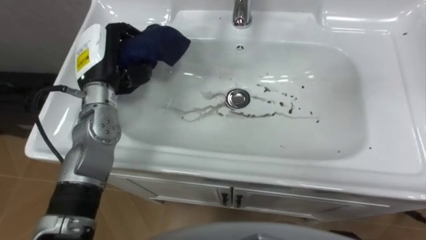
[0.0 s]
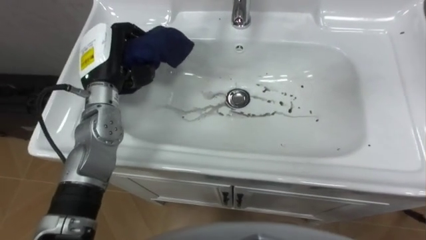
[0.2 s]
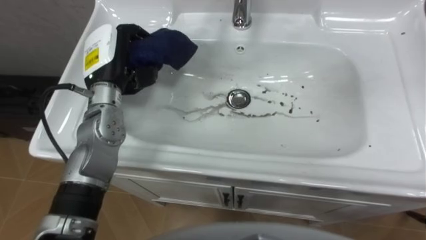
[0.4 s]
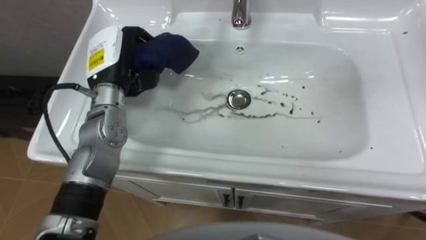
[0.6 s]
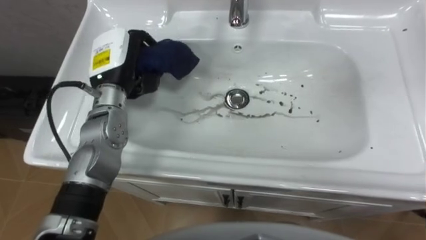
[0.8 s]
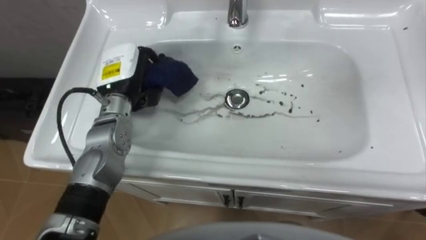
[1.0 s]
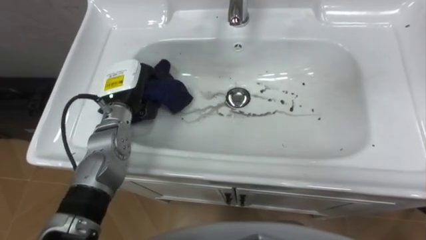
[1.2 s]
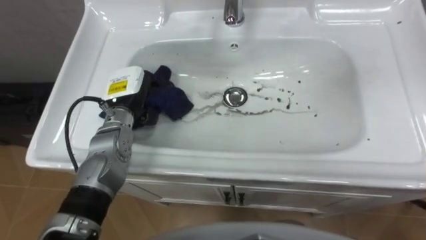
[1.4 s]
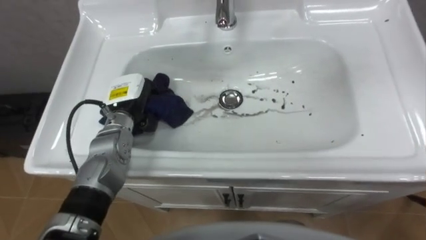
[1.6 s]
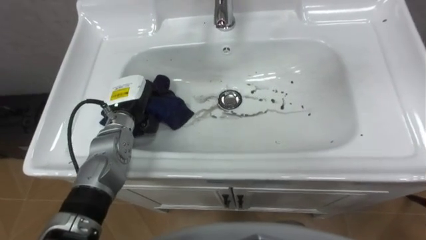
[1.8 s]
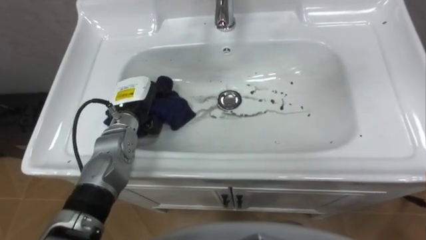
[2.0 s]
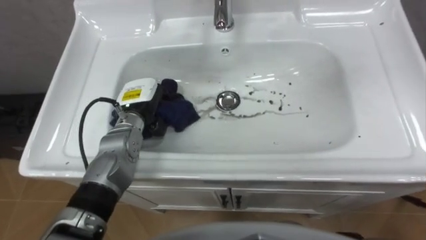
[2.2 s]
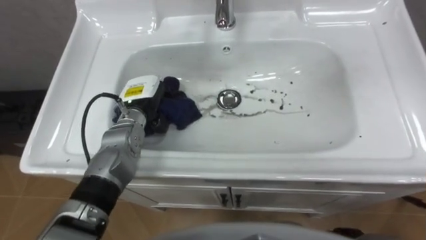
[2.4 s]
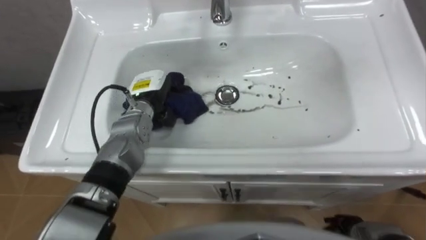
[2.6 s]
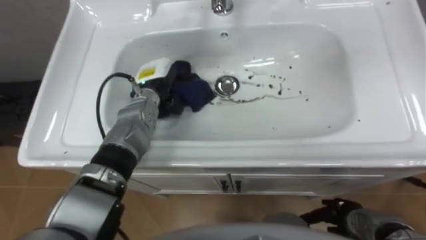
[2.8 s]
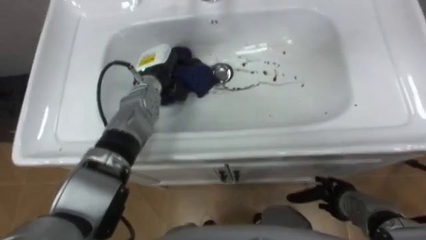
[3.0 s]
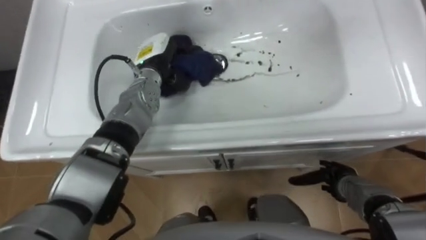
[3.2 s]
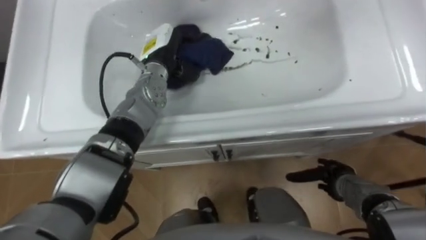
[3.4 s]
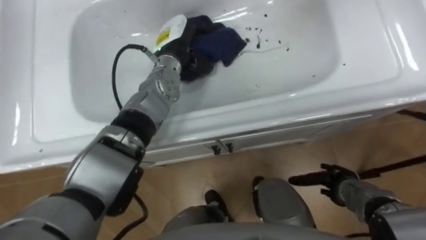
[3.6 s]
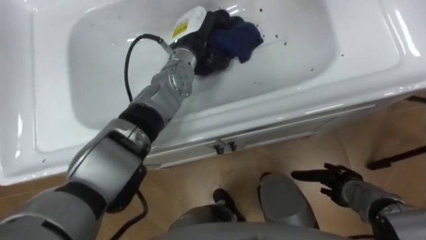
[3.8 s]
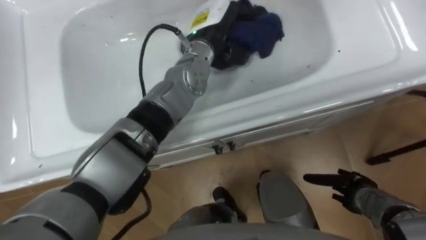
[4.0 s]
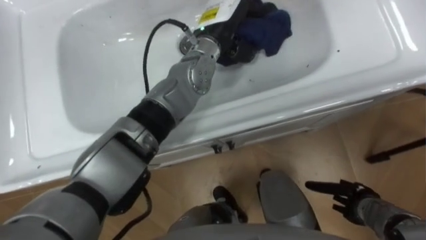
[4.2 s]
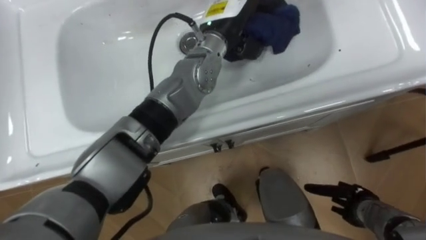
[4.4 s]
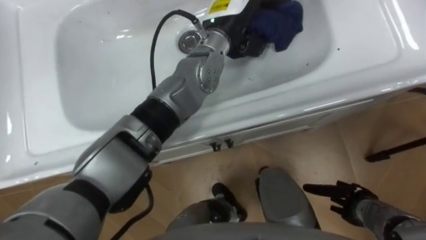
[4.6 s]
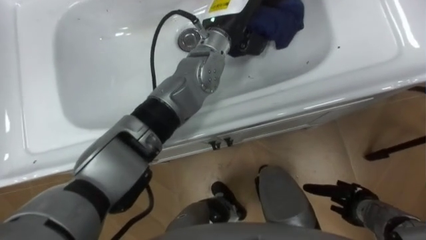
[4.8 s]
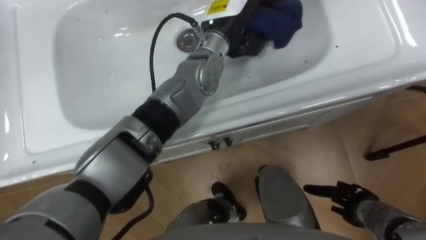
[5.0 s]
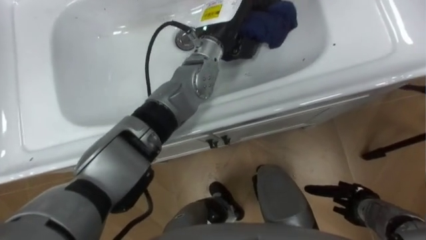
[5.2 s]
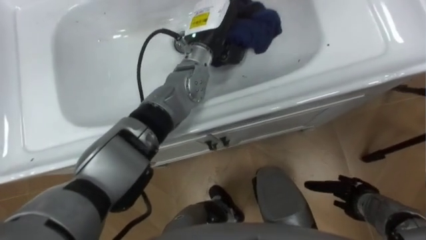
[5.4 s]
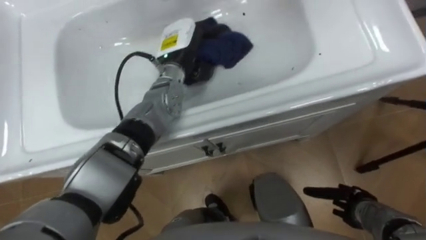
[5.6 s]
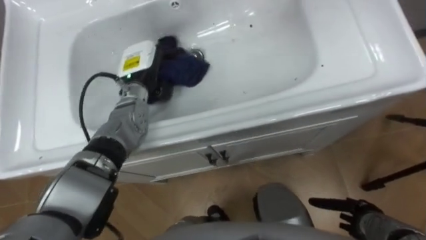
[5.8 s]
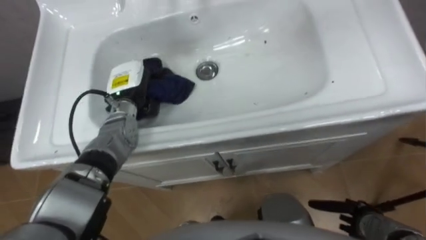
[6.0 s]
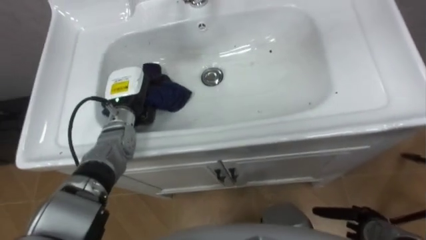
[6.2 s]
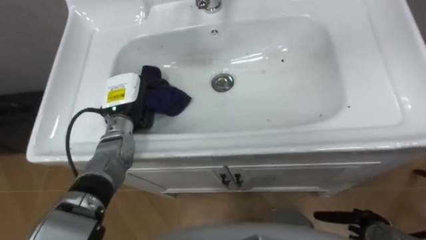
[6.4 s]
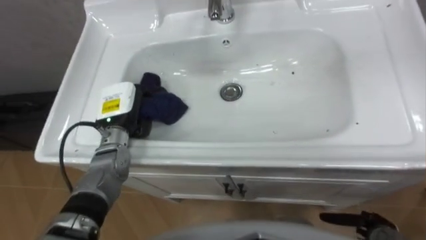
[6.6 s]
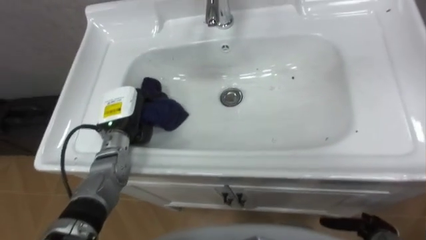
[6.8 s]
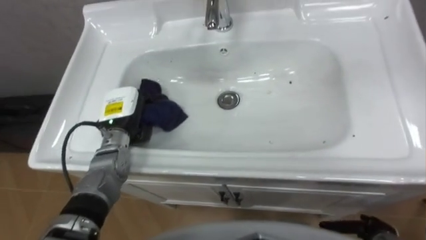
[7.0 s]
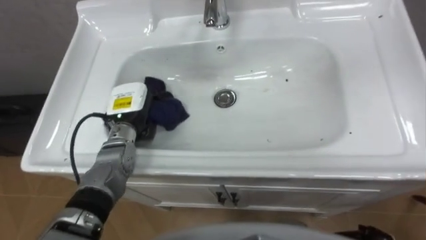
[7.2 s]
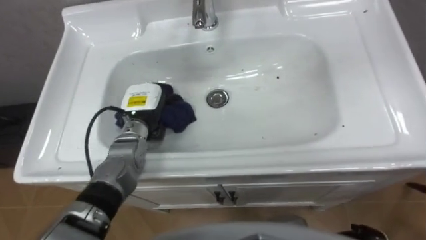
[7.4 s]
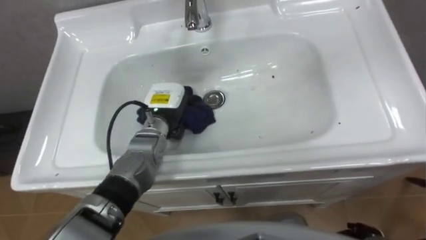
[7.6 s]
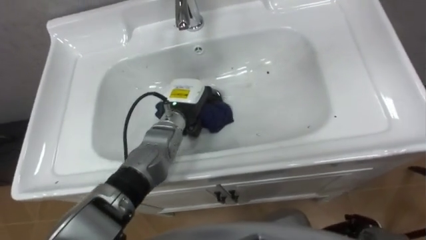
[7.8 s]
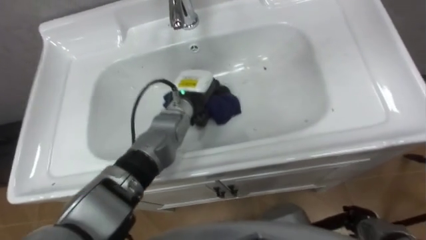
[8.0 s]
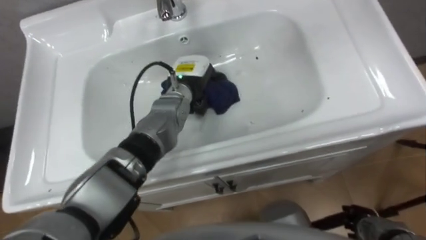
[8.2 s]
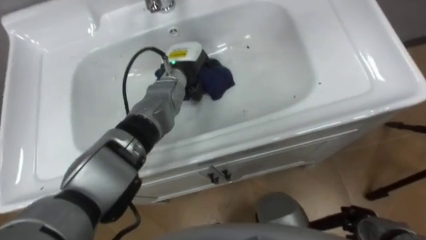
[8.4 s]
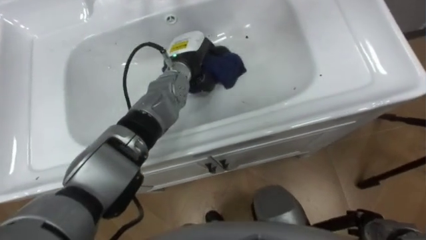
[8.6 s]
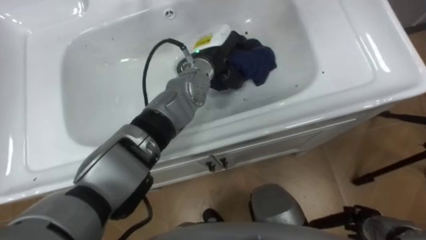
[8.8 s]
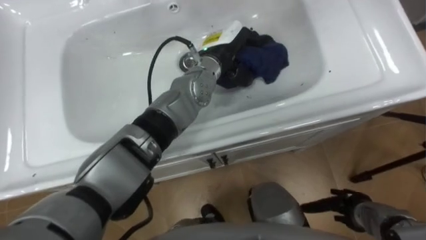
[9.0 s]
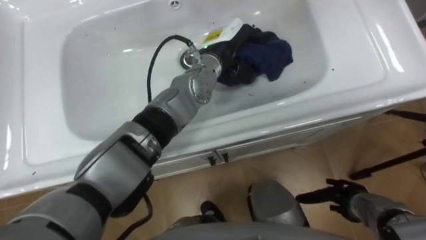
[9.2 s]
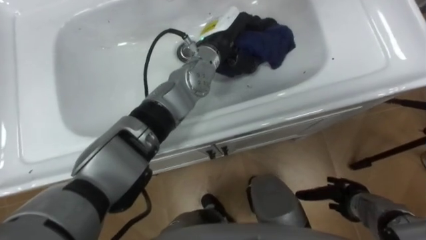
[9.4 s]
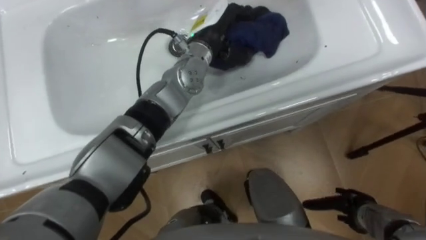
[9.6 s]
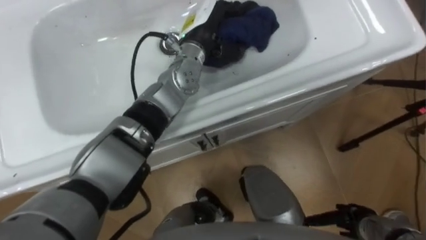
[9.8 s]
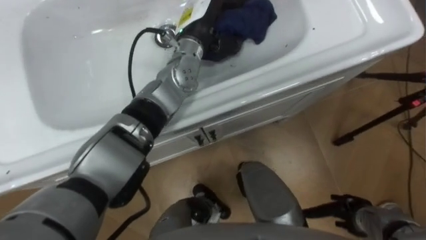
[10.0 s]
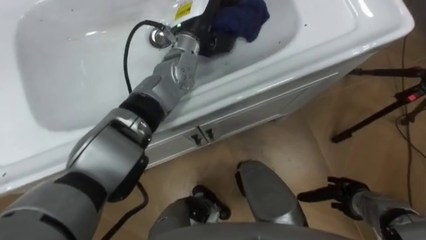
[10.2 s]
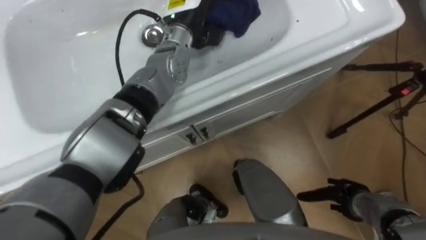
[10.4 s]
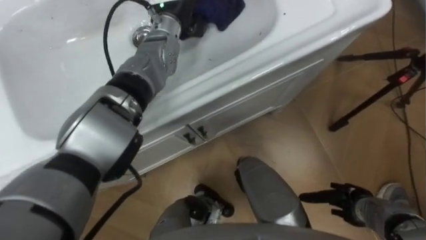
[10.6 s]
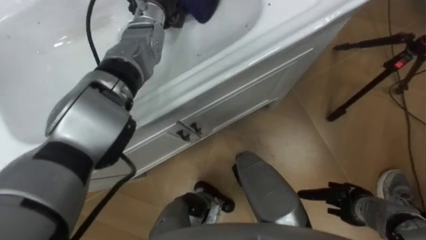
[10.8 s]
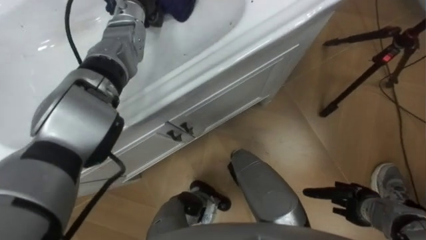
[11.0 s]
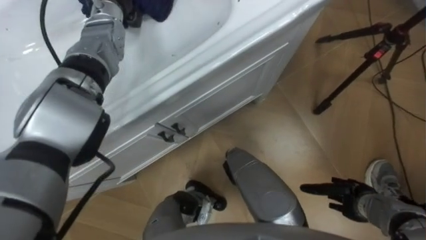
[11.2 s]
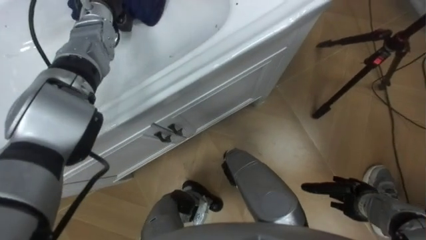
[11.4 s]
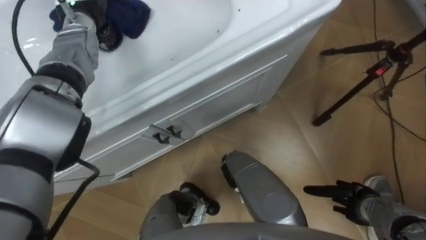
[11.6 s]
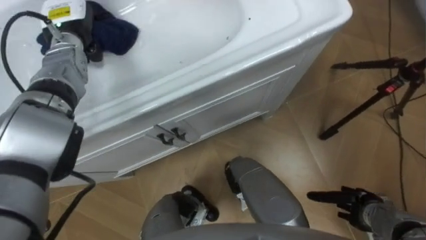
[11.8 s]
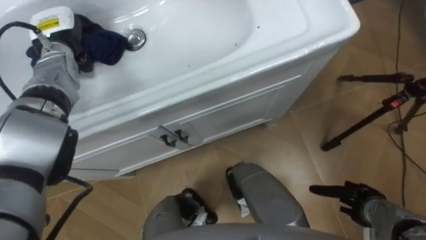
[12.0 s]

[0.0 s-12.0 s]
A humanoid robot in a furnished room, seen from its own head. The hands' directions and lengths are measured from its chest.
Task of the whole recording: Use the cloth on the right to wipe away the black stain in the sink.
0.0 to 1.6 s: The left hand heads downward, covering roughly 10 cm.
1.6 to 3.0 s: The left hand moves to the right and forward, approximately 10 cm.
3.0 to 4.4 s: The left hand heads to the right and upward, covering some 20 cm.
4.4 to 6.0 s: The left hand heads to the left and downward, covering about 25 cm.
6.0 to 7.6 s: The left hand is displaced to the right by some 5 cm.
7.6 to 9.0 s: The left hand is displaced to the right, upward and forward by some 20 cm.
9.0 to 10.4 s: The left hand travels to the left by roughly 5 cm.

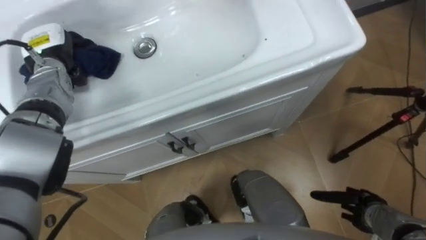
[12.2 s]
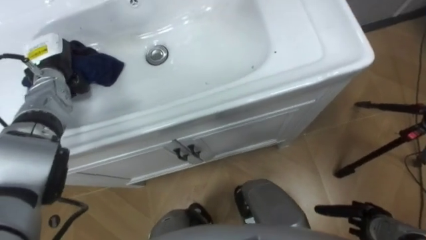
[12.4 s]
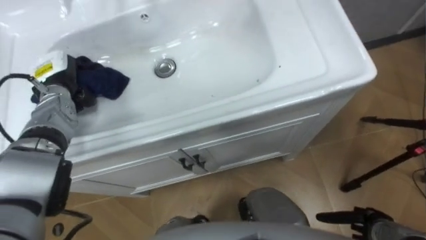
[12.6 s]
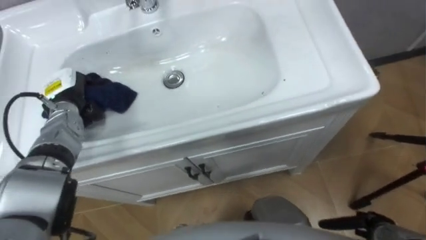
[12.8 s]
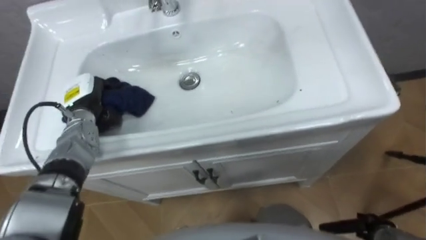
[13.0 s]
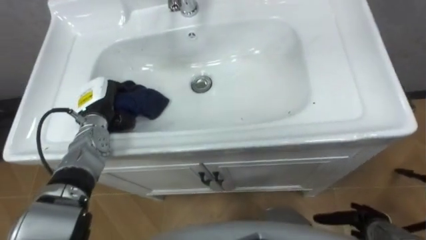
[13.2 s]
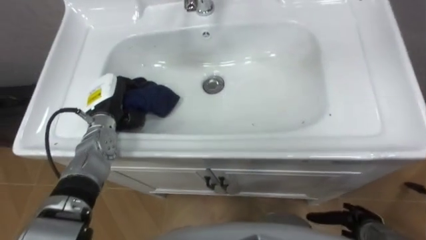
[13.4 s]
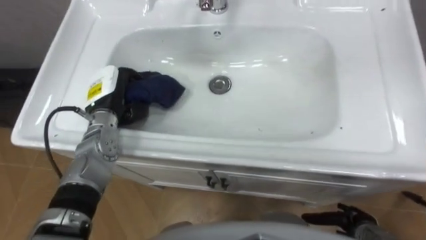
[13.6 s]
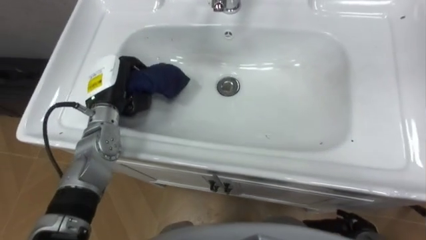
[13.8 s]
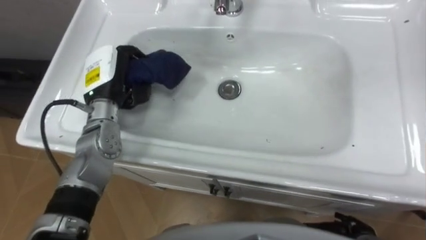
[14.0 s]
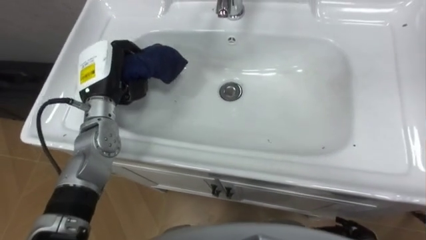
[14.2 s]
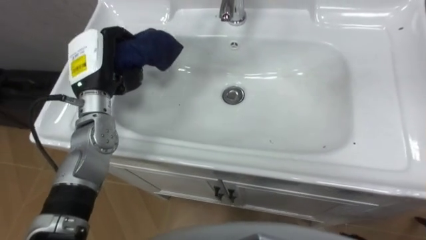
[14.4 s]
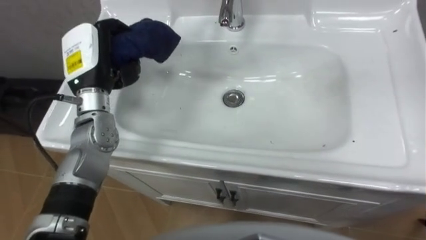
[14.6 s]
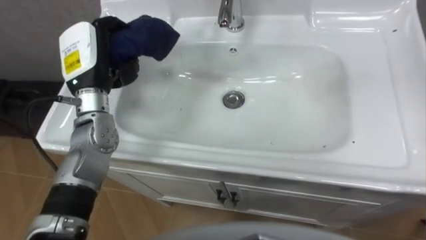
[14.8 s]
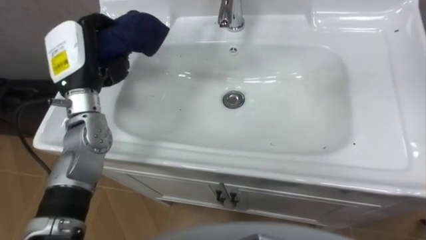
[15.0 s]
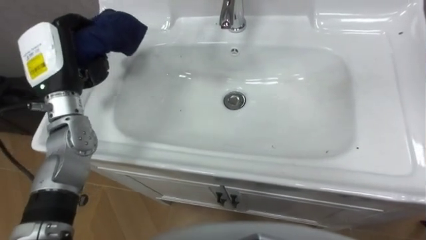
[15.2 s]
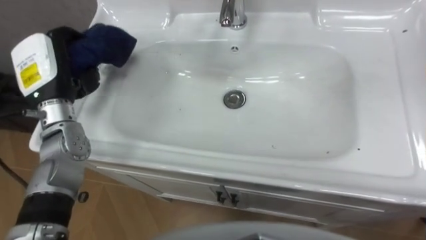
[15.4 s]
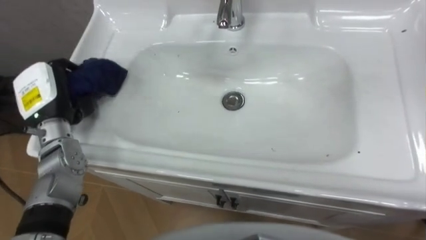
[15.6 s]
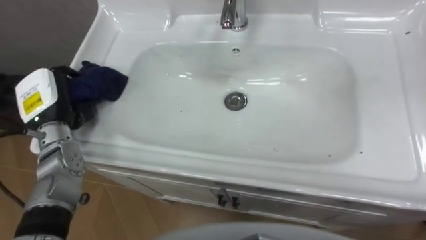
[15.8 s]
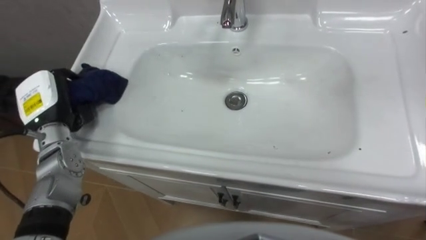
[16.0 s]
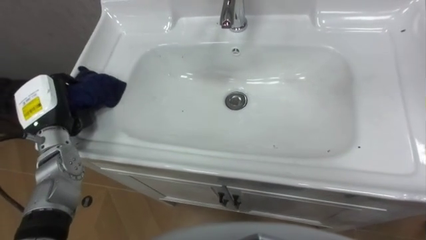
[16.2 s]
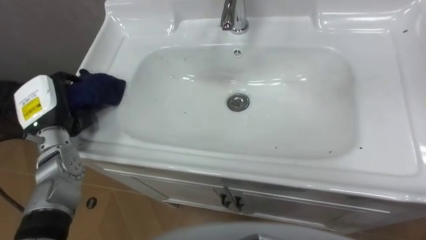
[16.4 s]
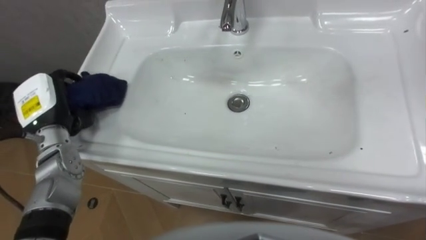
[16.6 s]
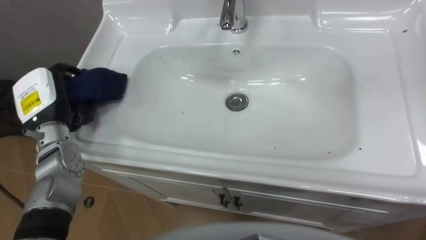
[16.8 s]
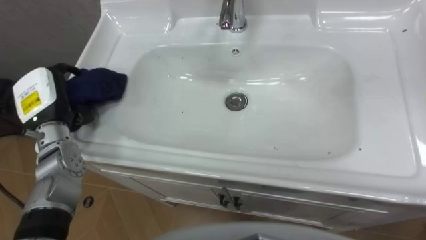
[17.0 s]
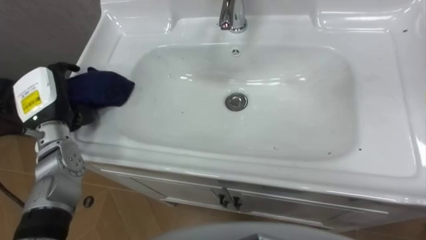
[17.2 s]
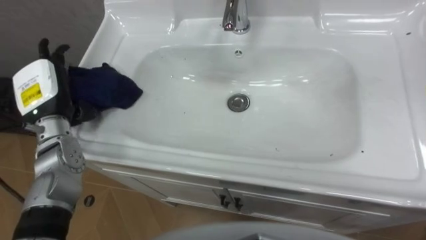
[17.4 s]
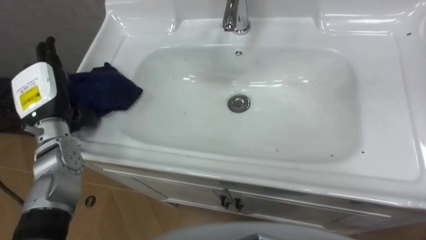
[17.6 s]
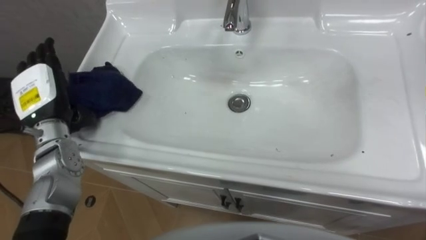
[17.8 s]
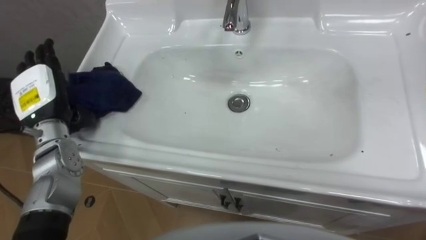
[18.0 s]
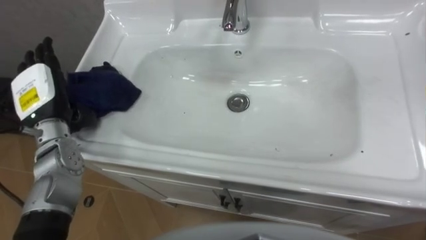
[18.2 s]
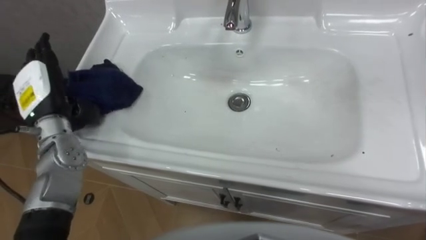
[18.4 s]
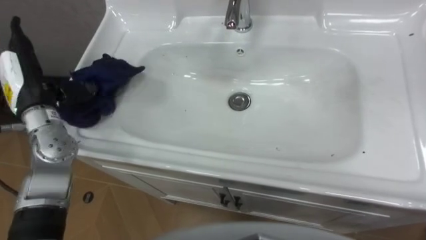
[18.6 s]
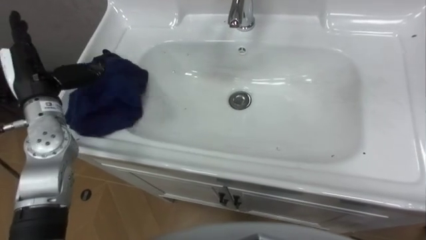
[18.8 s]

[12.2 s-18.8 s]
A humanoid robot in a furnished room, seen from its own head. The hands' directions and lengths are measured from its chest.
Task of the whole recording: Use the cloth on the right to wipe away the black stain in the sink.
12.2 to 13.8 s: The left hand travels to the right and backward by some 15 cm.
13.8 to 15.4 s: The left hand travels upward and to the left by roughly 10 cm.
15.4 to 17.2 s: The left hand is displaced downward by about 5 cm.
17.2 to 18.8 s: The left hand is displaced upward by approximately 5 cm, and opens.
